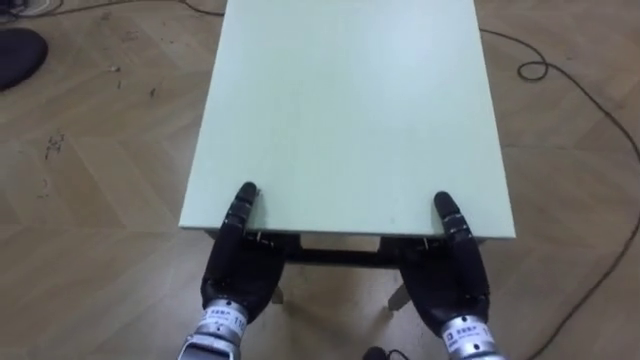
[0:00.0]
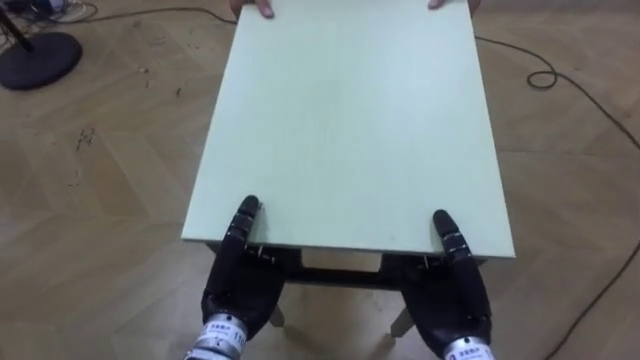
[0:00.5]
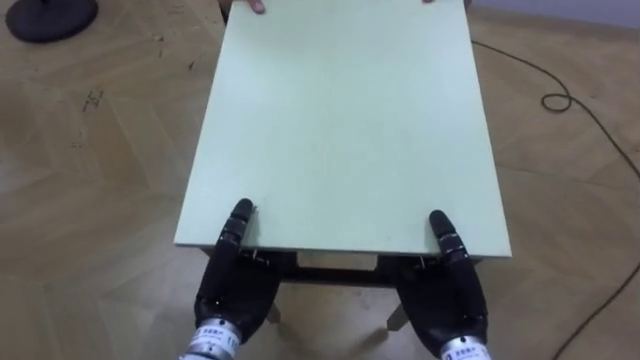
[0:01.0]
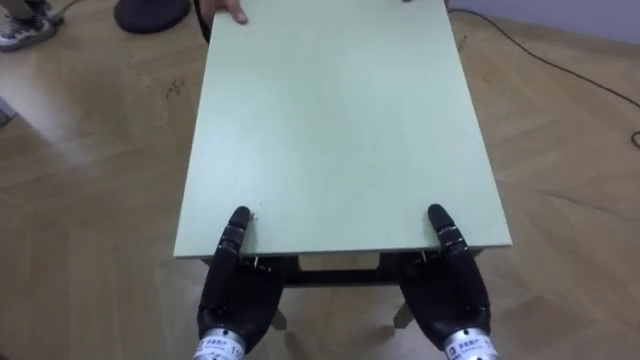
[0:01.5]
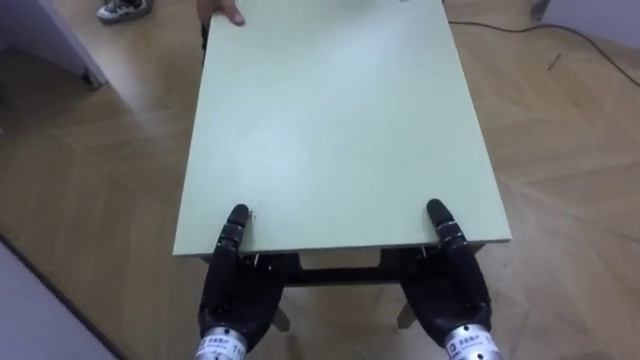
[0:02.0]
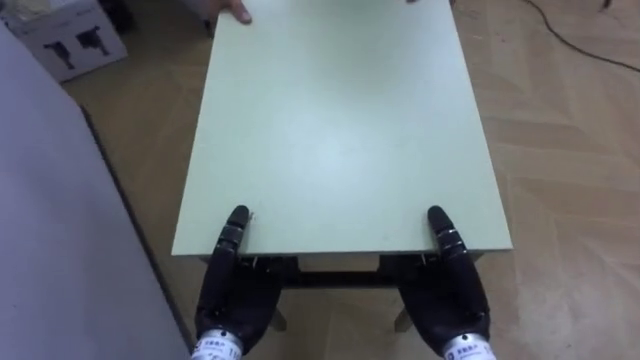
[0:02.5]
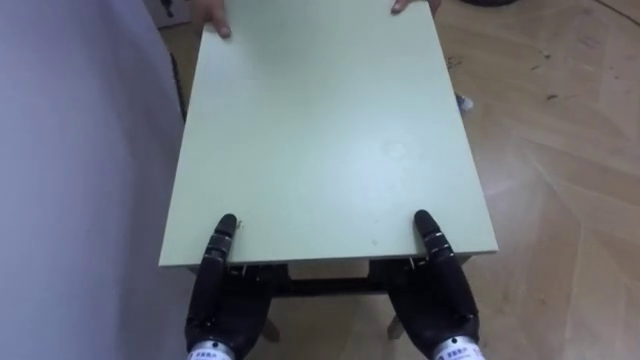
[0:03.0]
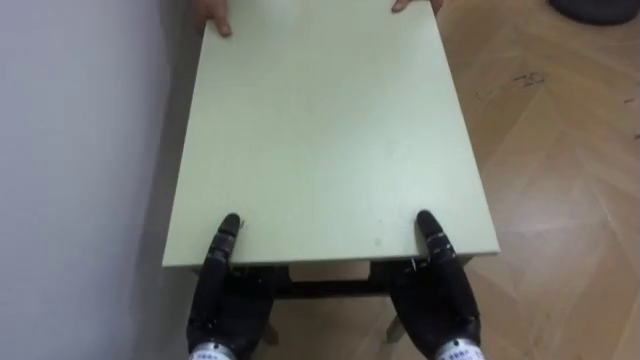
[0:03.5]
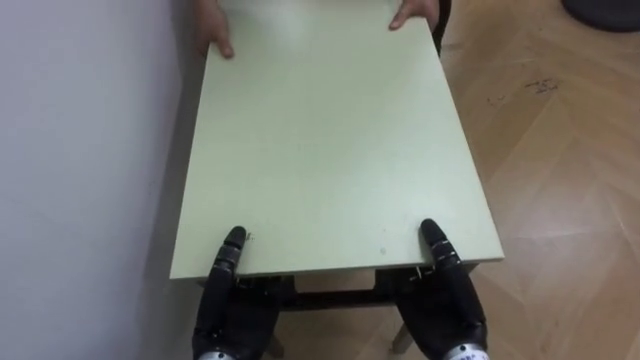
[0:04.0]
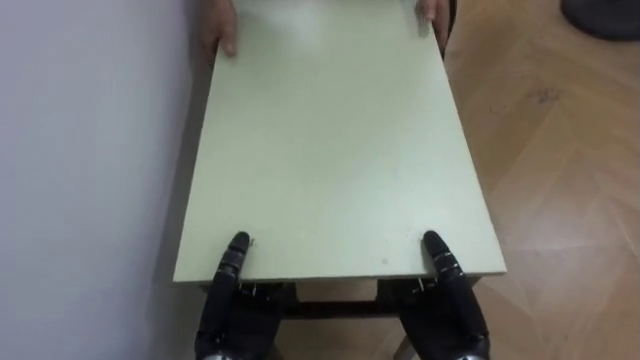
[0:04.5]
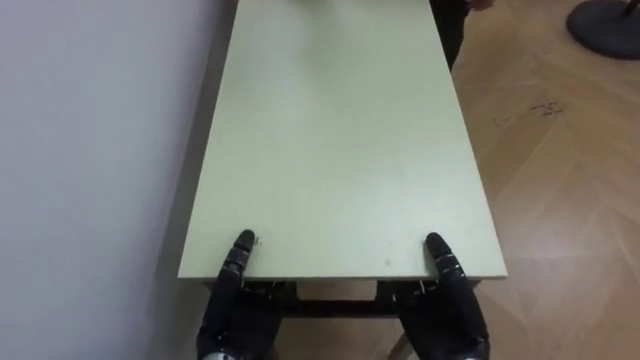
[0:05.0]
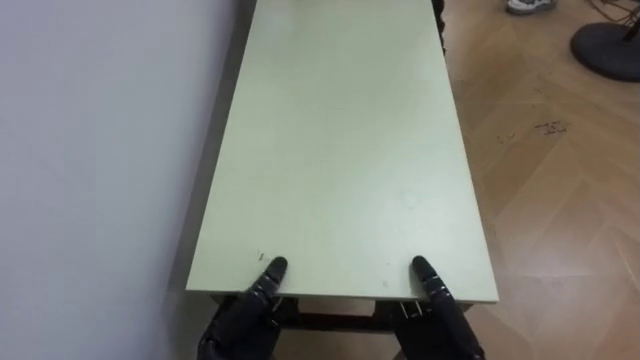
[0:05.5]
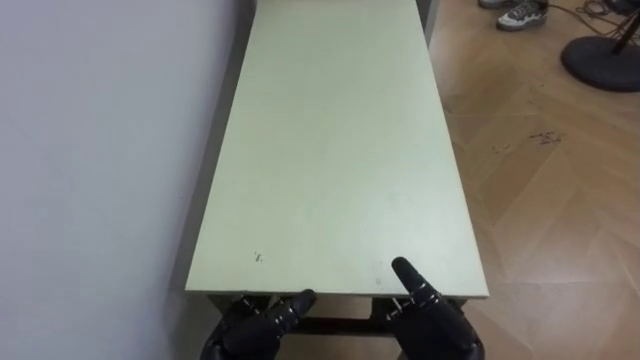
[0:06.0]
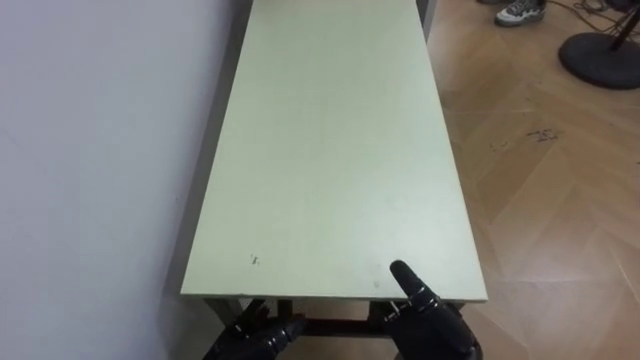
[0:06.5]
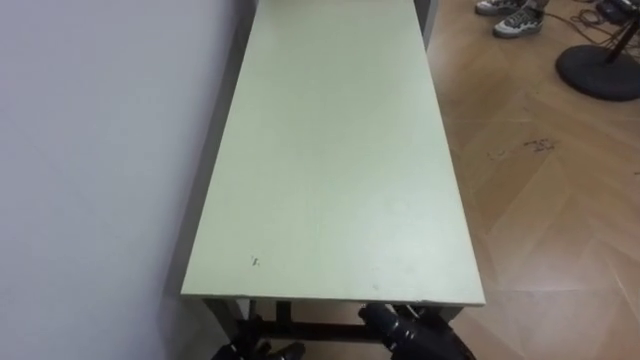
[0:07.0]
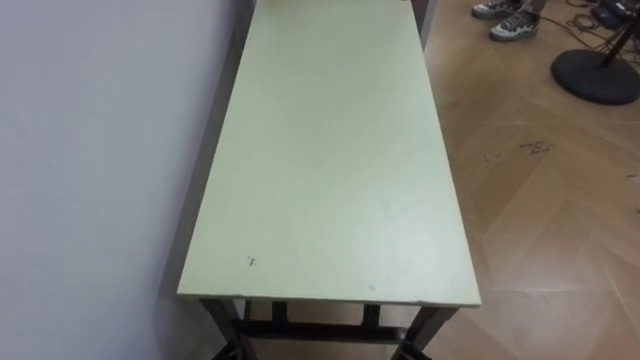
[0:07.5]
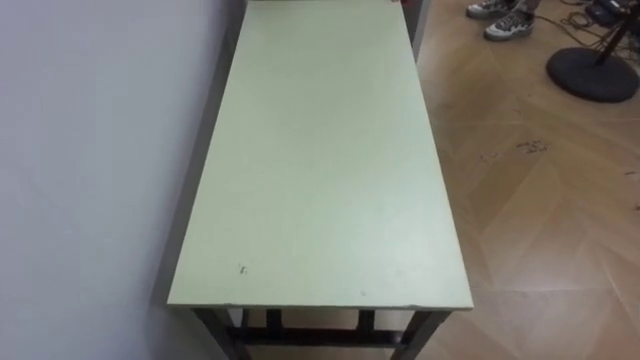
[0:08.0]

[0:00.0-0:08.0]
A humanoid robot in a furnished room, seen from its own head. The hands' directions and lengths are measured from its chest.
Task of the whole recording: Move the table to the back left with someone.
0:00.0 to 0:02.0: The robot's body swings approximately 30 degrees to its left.
0:02.0 to 0:04.0: The robot faces some 50 degrees further to its left.
0:04.0 to 0:06.0: The right hand opens its fingers; the left hand goes some 5 cm downward, and opens.

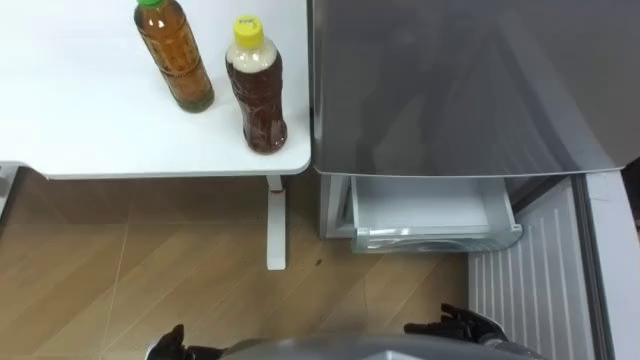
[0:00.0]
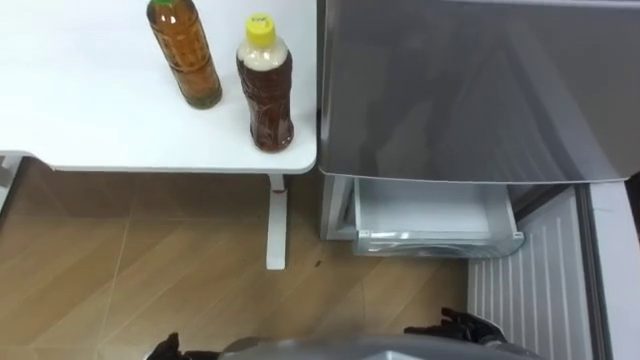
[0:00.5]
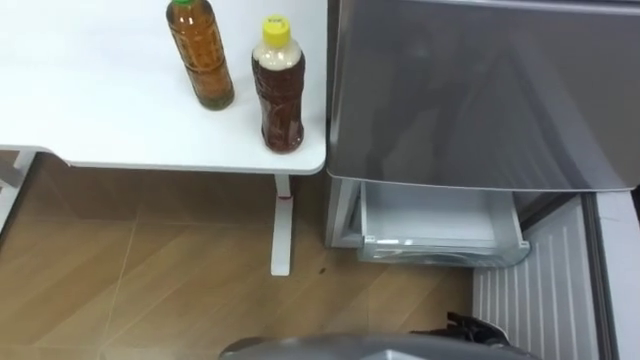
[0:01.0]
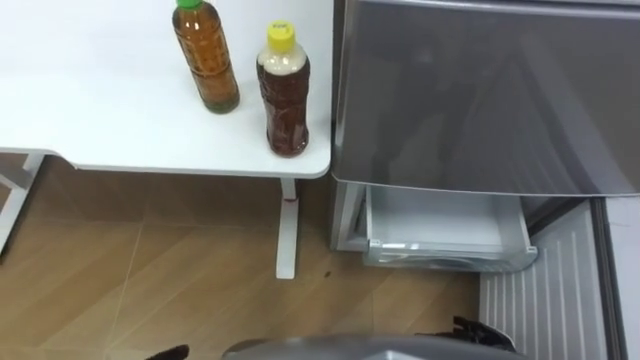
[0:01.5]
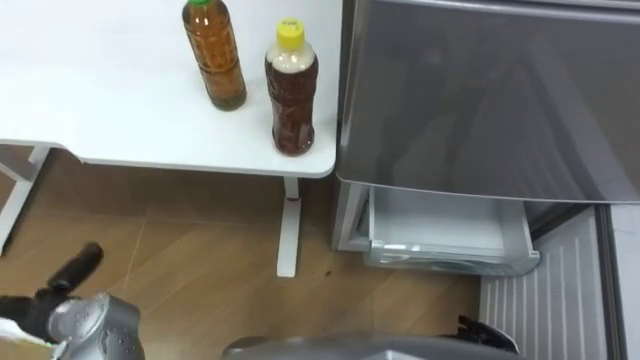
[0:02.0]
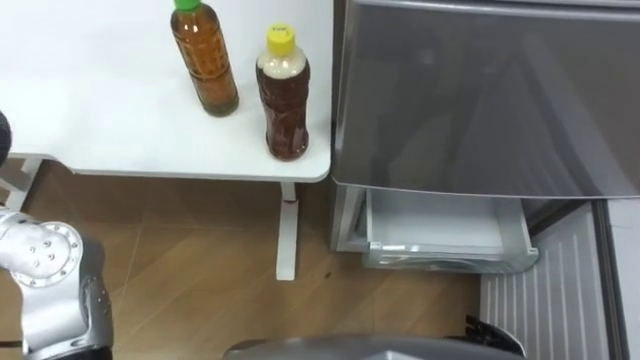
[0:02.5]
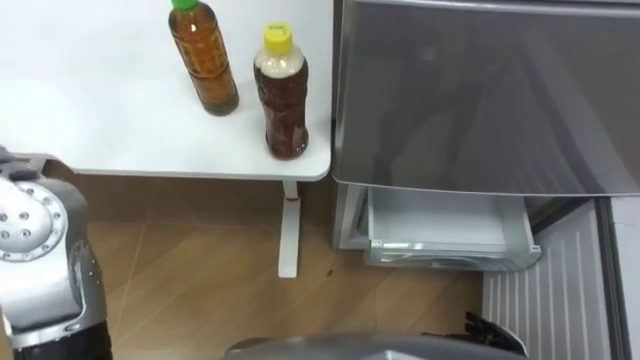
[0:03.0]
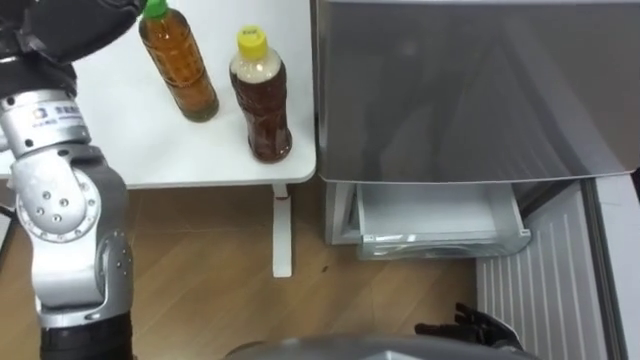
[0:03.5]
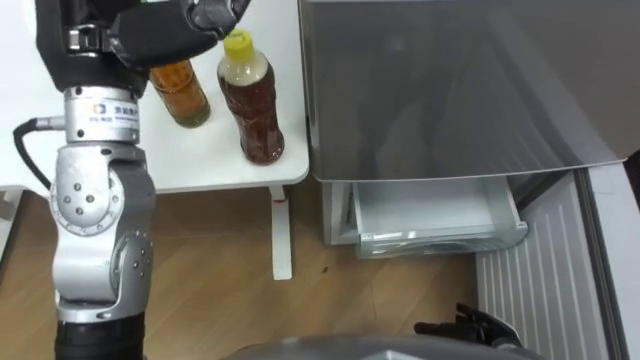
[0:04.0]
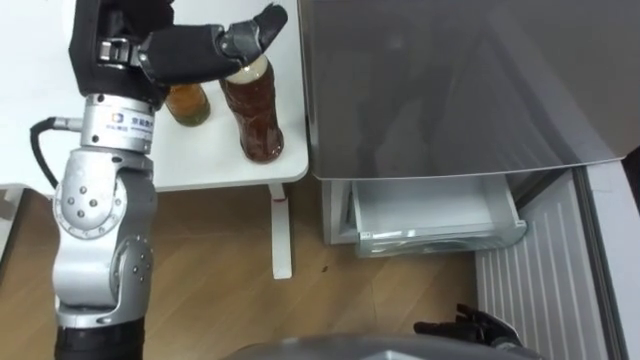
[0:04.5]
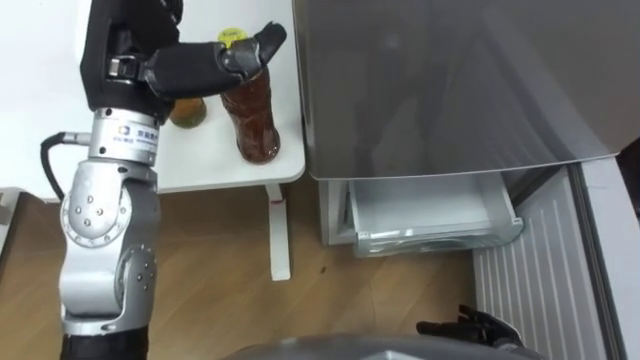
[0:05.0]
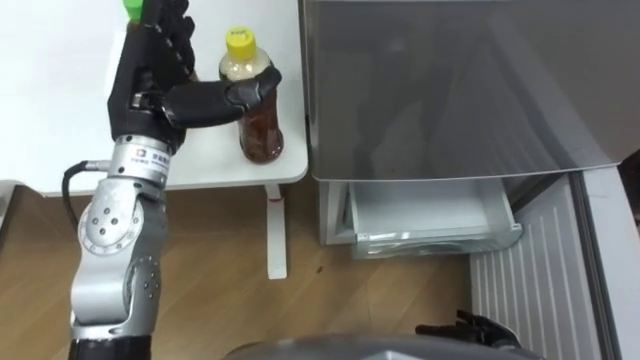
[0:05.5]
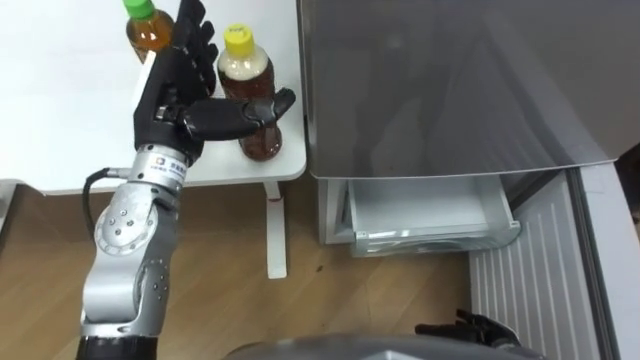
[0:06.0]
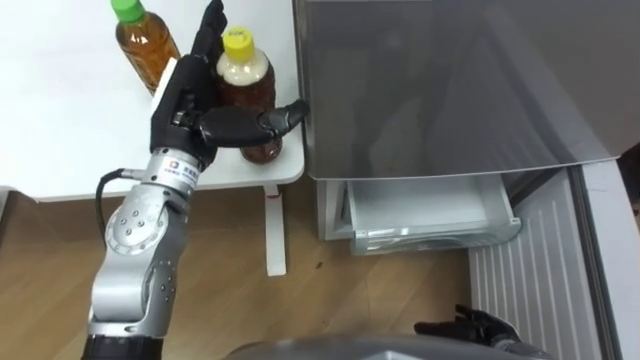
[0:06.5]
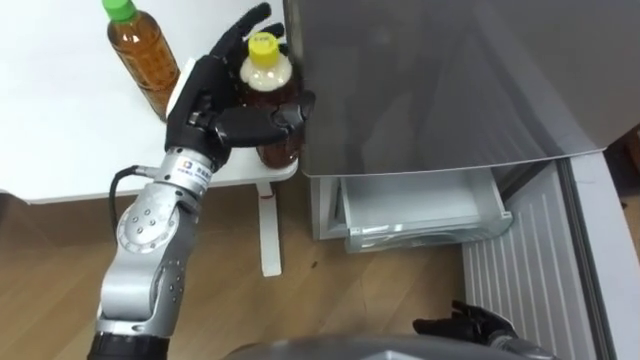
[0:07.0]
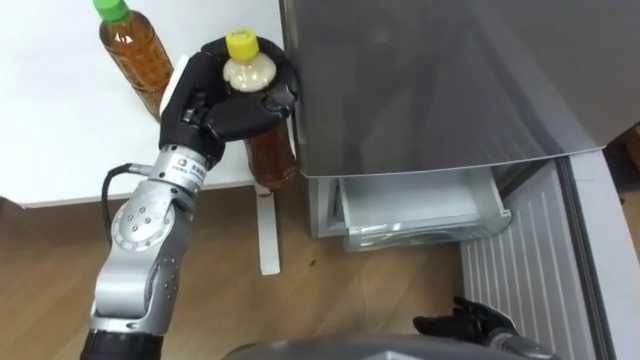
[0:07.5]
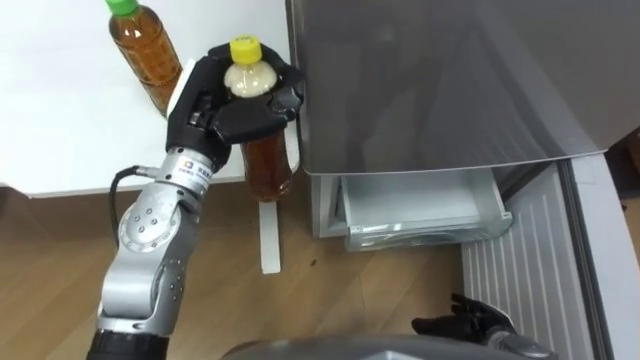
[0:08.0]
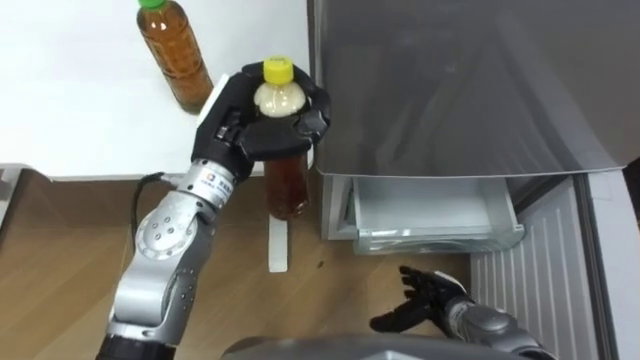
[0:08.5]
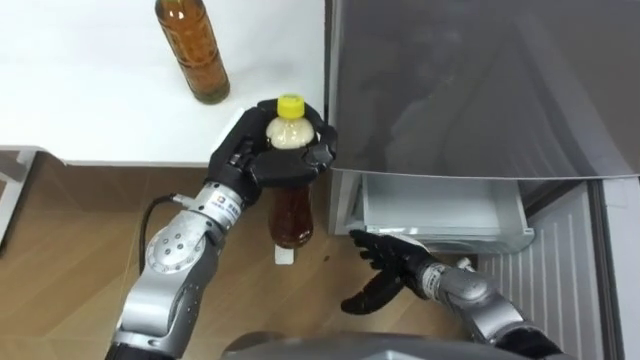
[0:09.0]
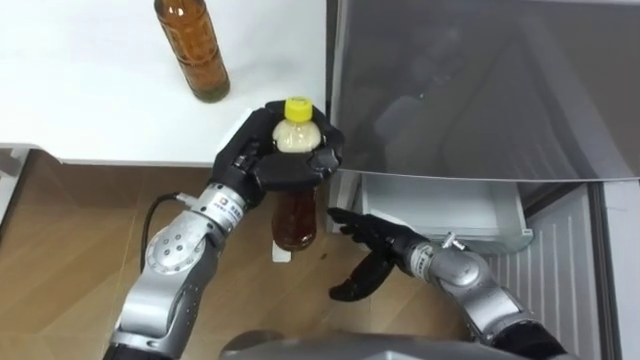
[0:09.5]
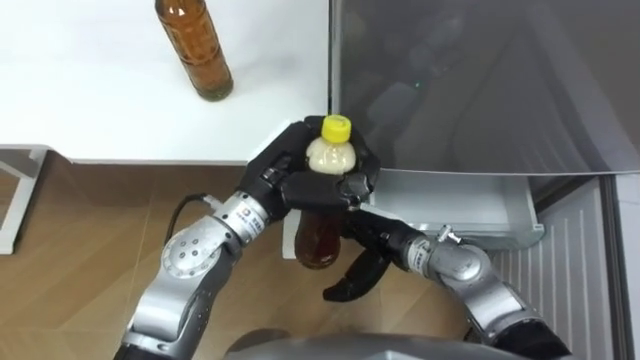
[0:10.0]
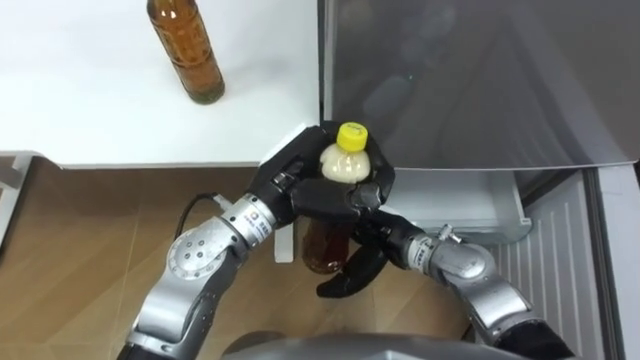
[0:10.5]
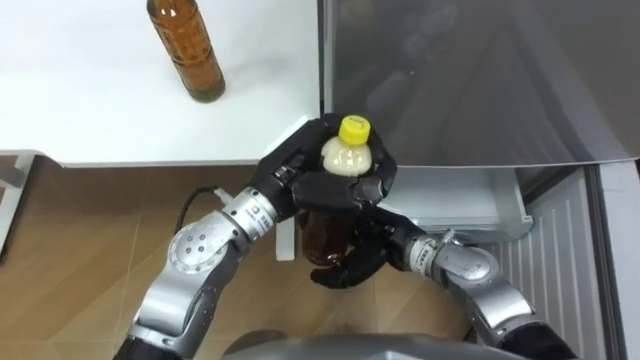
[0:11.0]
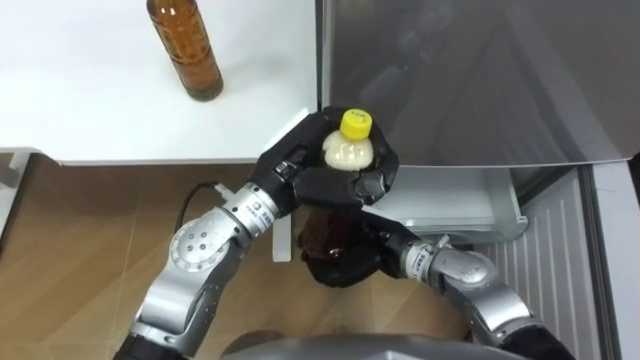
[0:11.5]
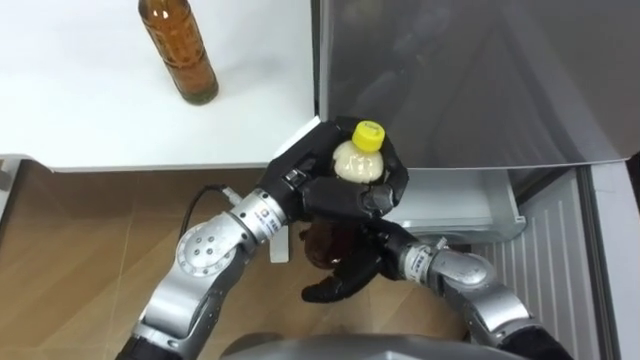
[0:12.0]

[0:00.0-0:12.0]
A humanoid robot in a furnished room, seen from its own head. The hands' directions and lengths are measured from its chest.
Task of the whole recording: Place the drink on the table on the bottom shelf of the refrigerator, then close the drawer and the refrigerator door.
0:04.0 to 0:06.0: The left hand shifts approximately 10 cm downward.
0:06.0 to 0:08.0: The left hand closes its fingers.
0:08.0 to 0:10.0: The right hand is displaced to the left, forward and upward by roughly 25 cm, while the left hand is displaced to the right by about 10 cm.
0:10.0 to 0:12.0: The right hand closes, then reopens.
